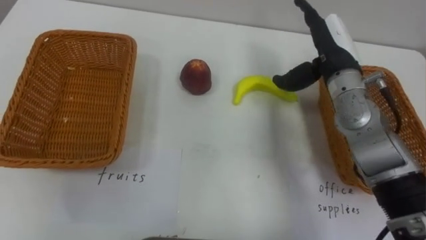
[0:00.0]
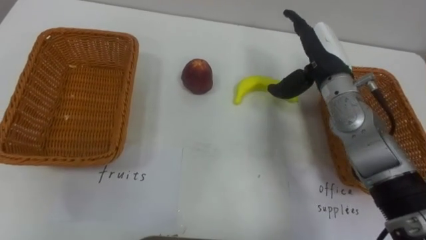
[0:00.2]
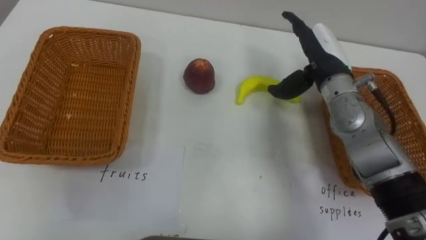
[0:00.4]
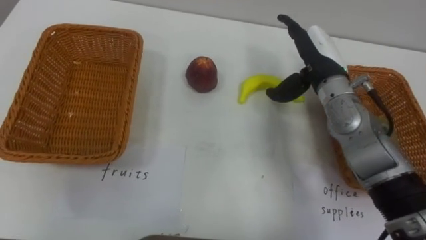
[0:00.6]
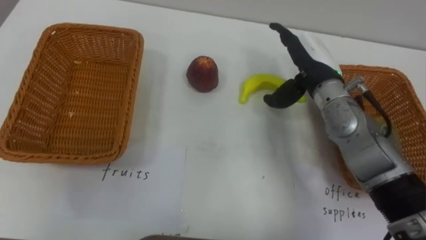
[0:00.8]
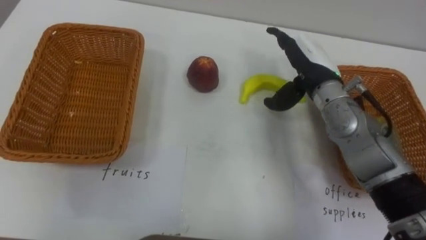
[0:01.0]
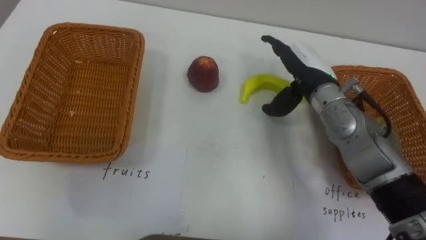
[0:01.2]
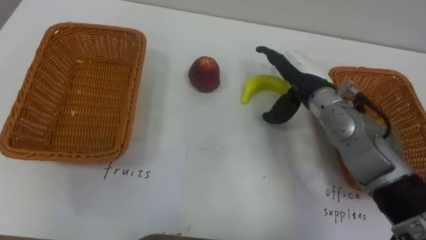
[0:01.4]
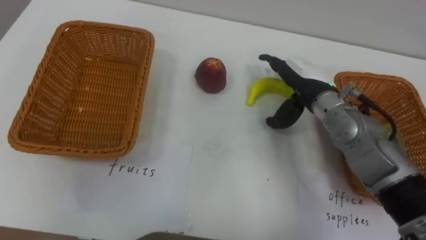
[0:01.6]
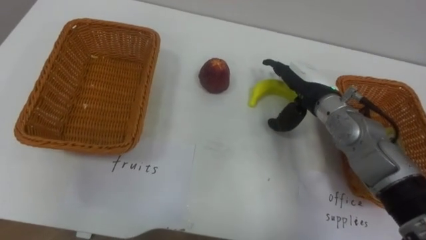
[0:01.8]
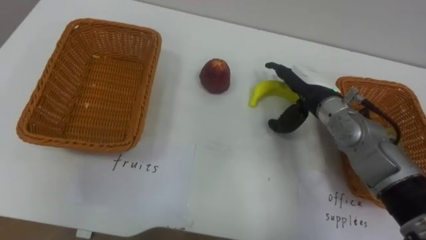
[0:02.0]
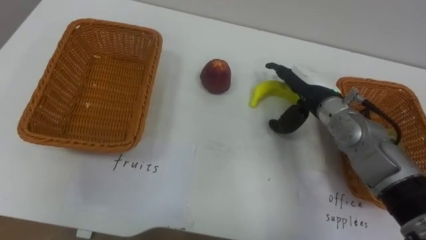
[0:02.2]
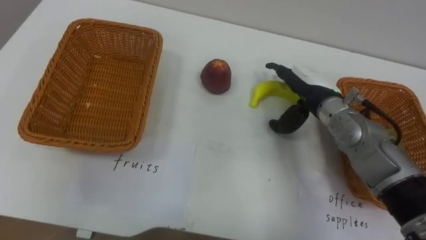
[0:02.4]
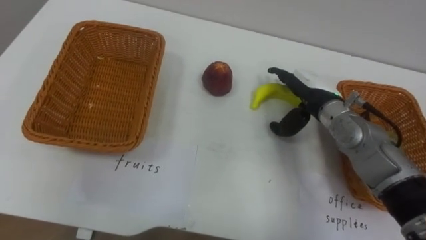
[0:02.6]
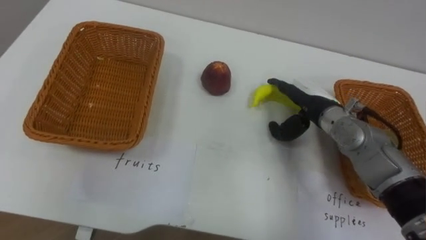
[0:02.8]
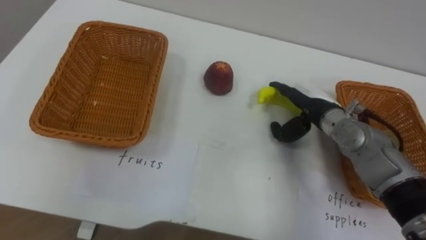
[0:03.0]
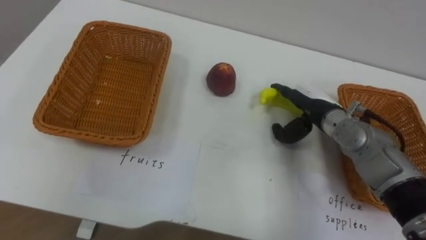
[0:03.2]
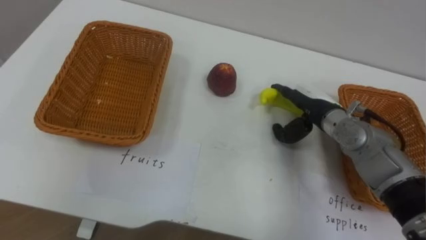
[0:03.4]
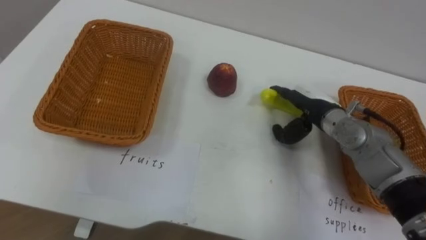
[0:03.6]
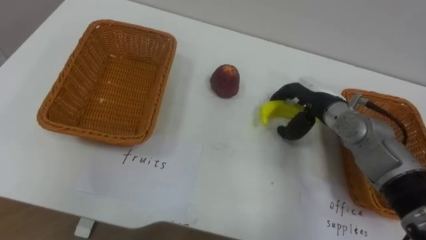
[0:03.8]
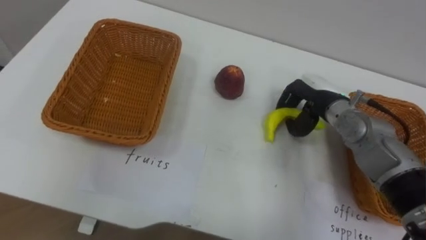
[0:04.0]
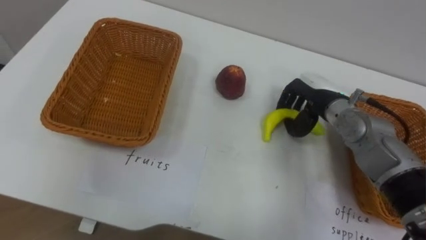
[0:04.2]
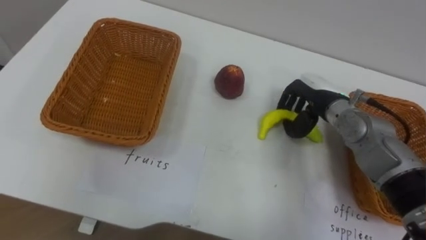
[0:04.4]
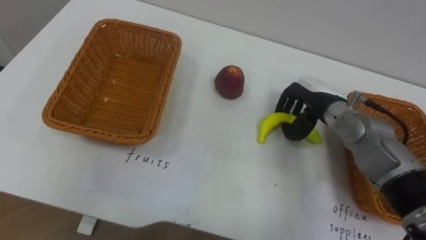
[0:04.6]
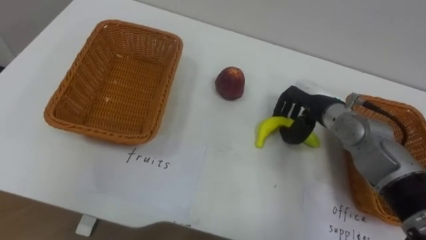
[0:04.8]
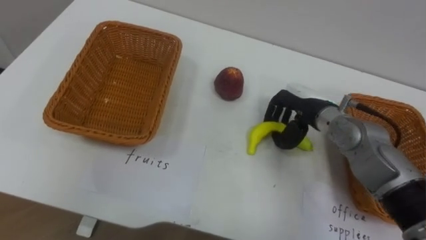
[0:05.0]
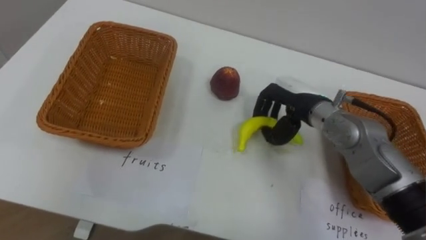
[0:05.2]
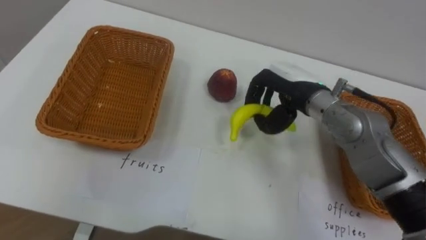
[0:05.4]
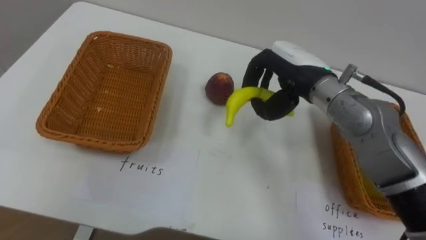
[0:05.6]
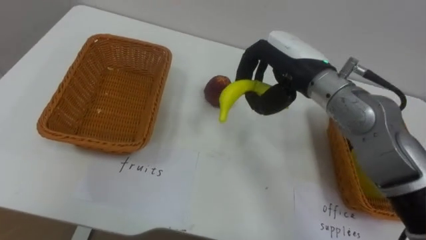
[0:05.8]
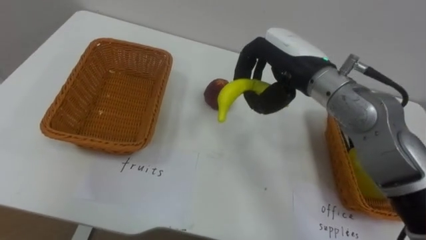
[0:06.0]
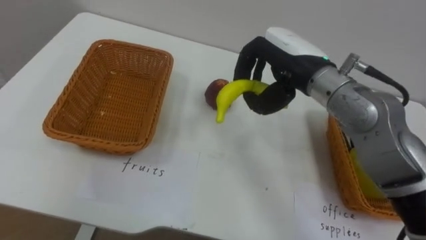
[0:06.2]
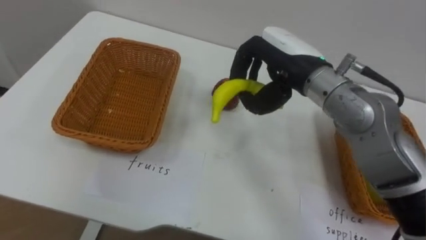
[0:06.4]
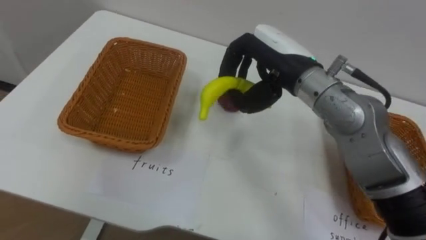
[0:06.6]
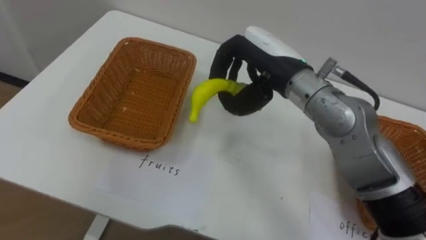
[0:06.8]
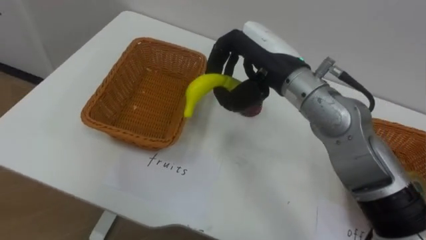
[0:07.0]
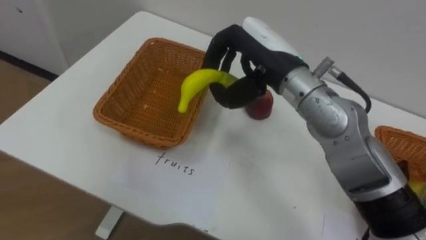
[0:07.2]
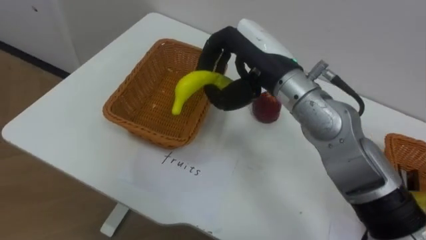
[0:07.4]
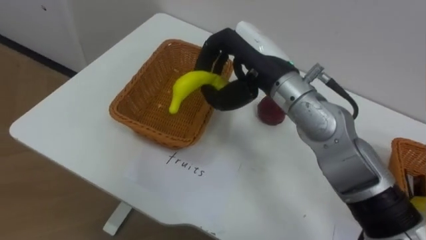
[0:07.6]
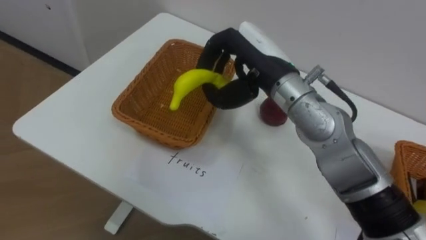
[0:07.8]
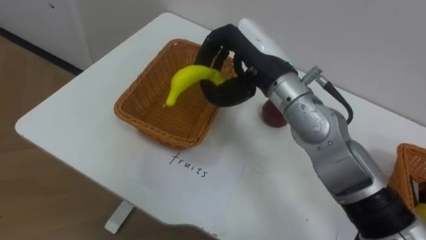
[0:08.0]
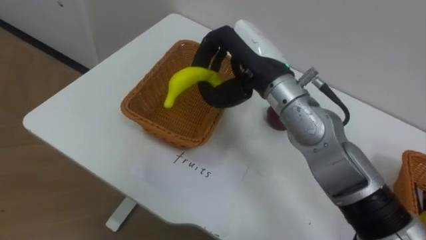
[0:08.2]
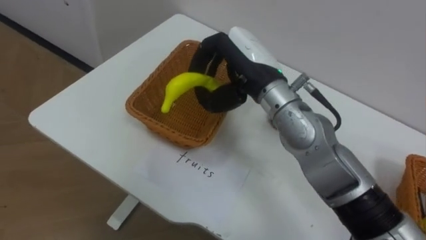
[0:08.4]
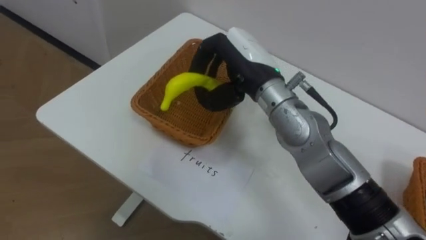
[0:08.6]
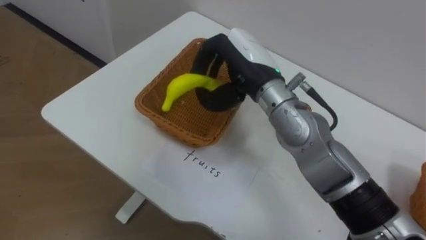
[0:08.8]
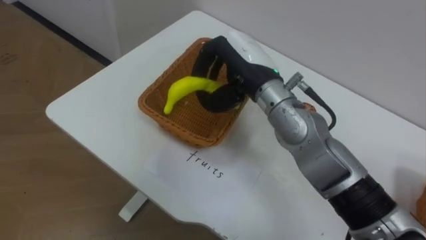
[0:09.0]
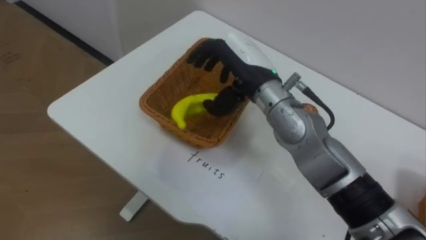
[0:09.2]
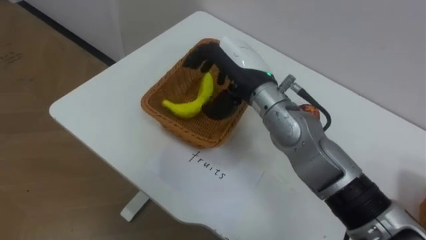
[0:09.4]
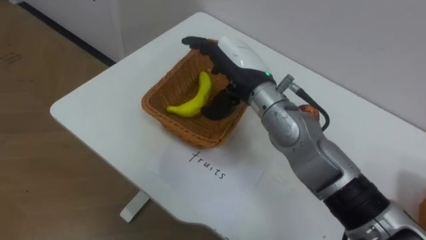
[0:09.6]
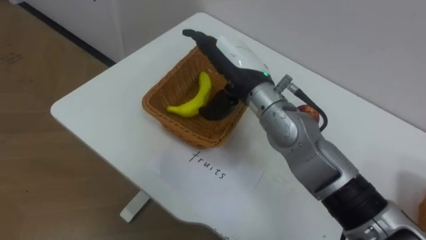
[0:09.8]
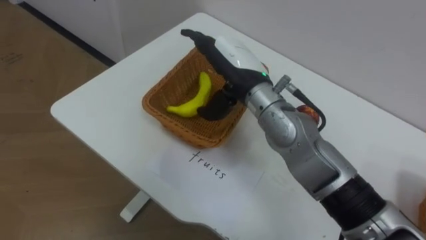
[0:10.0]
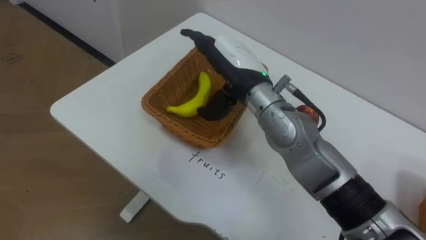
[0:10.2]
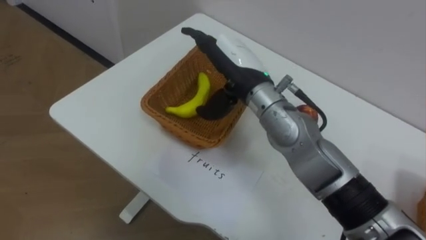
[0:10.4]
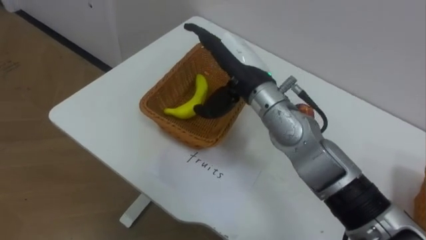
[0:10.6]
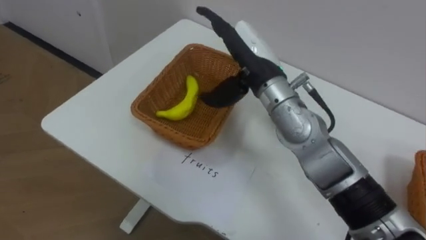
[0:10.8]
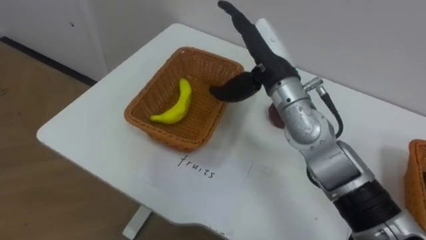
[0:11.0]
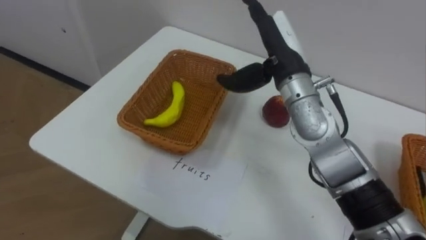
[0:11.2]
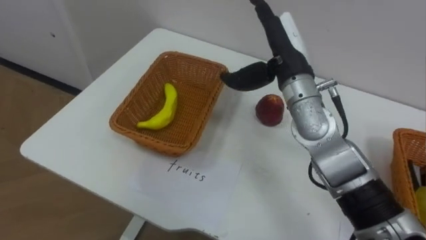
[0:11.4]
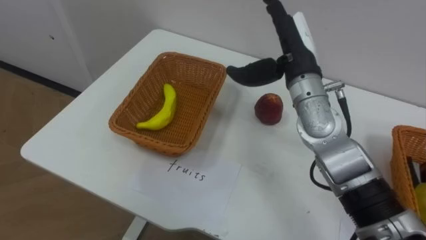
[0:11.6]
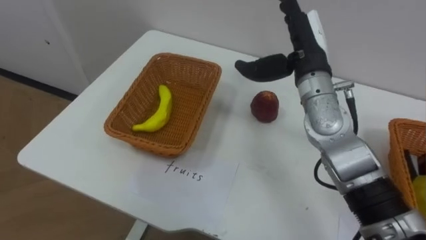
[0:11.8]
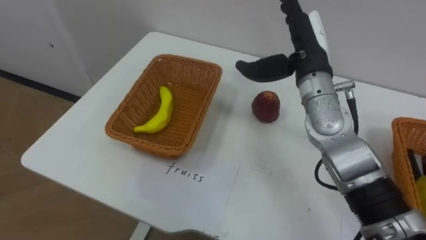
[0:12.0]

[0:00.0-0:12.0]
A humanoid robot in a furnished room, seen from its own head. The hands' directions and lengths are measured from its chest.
Task of the whole recording: Separate the items on the table and place them into the two baskets.
0:00.0 to 0:01.6: The right hand shifts about 5 cm downward.
0:01.6 to 0:03.0: The right hand goes about 5 cm downward.
0:03.0 to 0:04.4: The right hand closes up.
0:04.4 to 0:06.0: The right hand shifts approximately 15 cm upward and to the left.
0:06.0 to 0:07.6: The right hand travels to the left by approximately 5 cm.
0:09.0 to 0:10.4: The right hand opens.
0:10.4 to 0:12.0: The right hand heads to the right, covering approximately 10 cm.

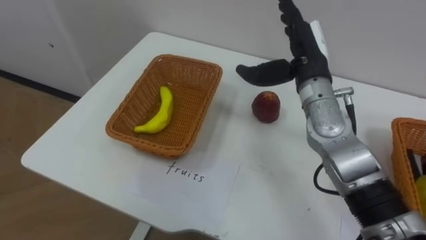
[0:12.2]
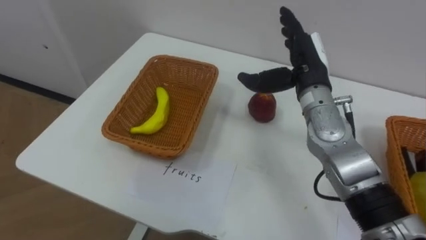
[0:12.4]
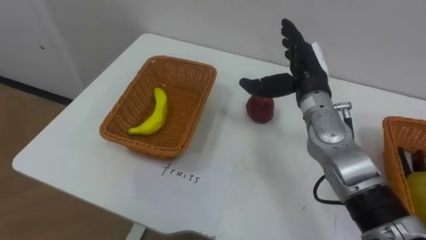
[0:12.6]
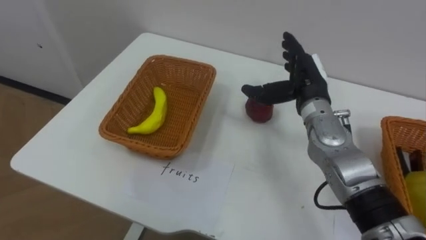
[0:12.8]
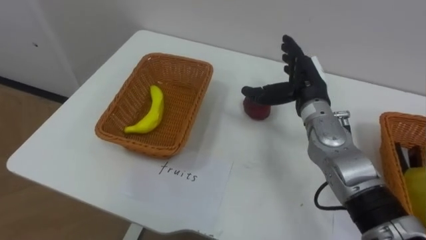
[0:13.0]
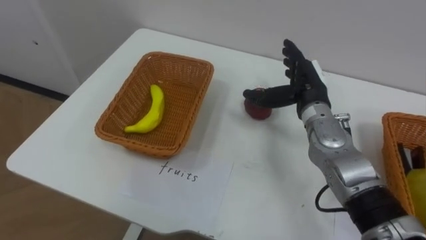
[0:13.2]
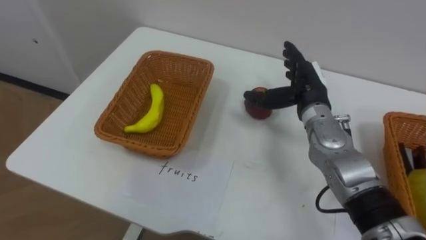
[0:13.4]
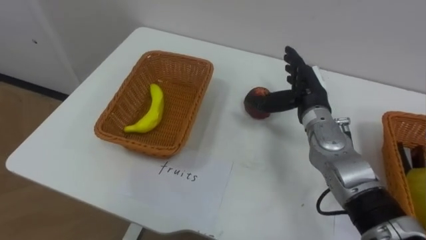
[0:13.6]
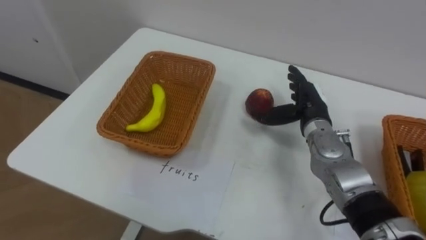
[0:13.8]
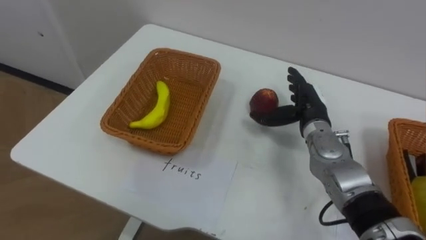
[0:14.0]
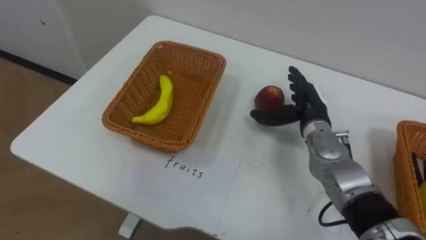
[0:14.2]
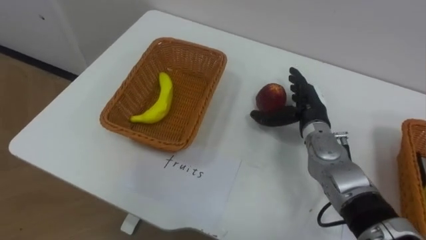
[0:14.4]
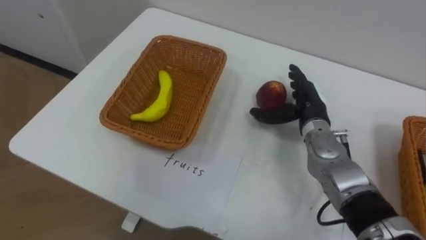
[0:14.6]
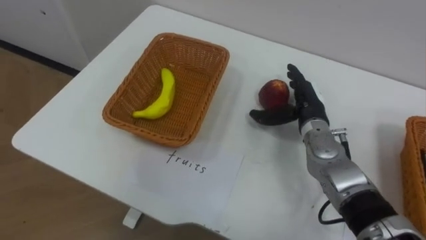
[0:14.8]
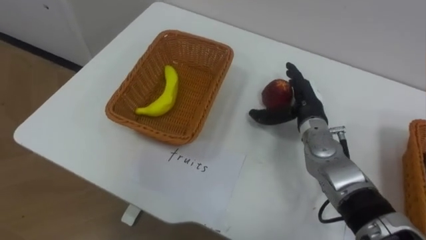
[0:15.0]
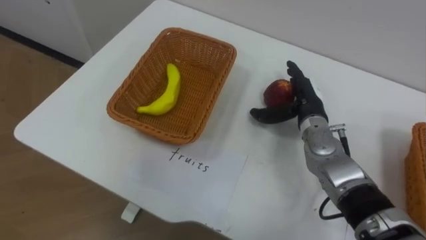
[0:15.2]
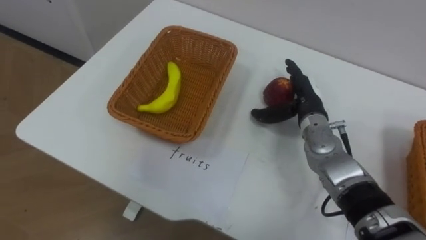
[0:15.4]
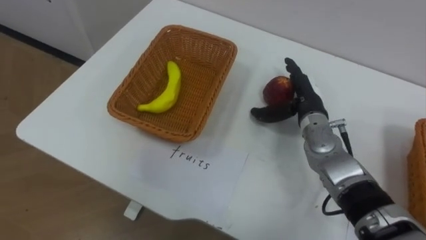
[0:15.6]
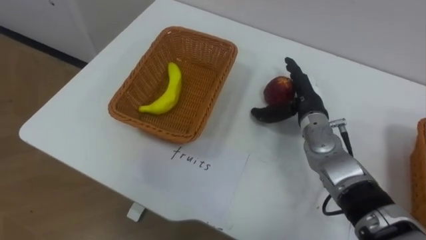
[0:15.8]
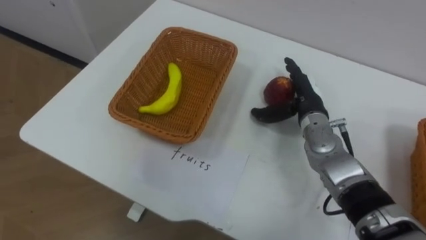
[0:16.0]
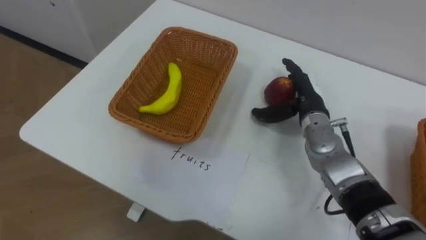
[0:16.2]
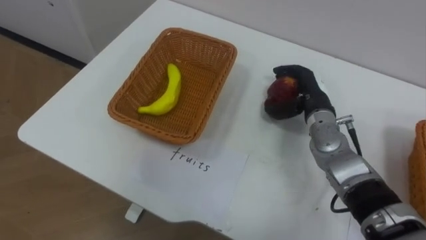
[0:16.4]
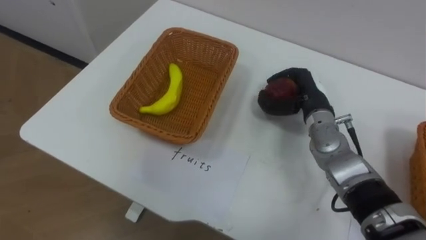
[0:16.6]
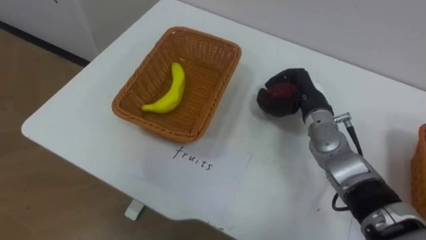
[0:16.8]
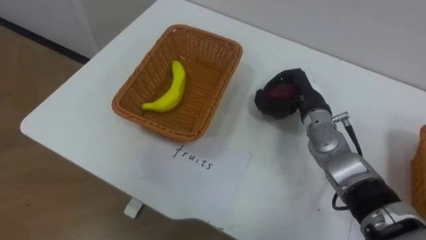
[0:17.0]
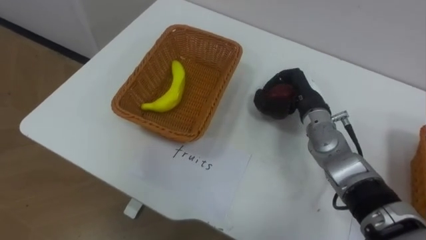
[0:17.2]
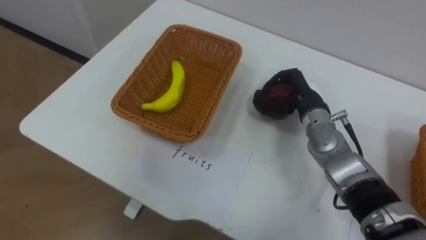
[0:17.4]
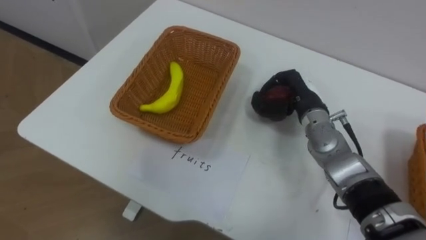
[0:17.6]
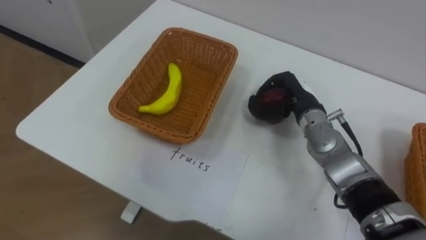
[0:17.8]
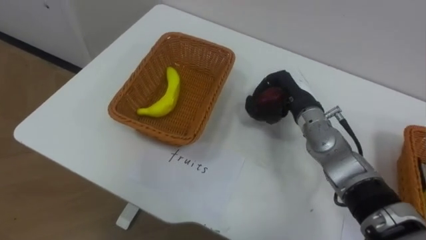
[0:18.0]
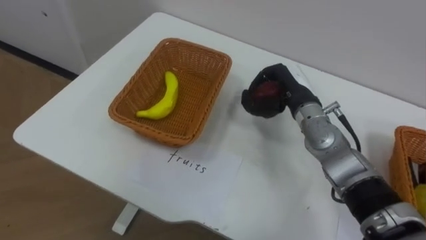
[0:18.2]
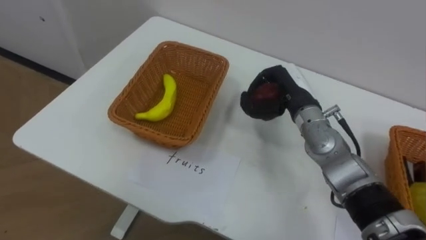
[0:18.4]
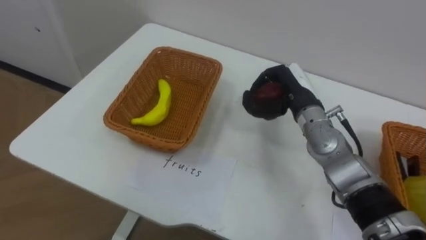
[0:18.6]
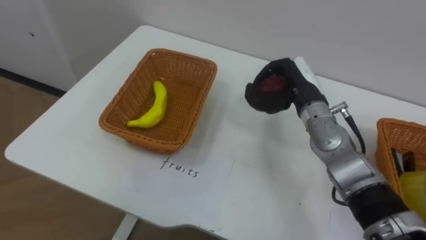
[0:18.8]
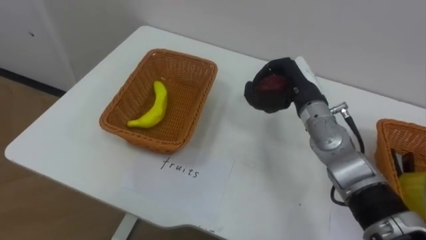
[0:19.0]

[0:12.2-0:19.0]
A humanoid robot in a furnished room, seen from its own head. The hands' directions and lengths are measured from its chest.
Task of the whole recording: Separate the items on the table and place them into the two baskets.
0:12.2 to 0:13.6: The right hand heads downward, covering roughly 10 cm.
0:16.2 to 0:17.6: The right hand closes.
